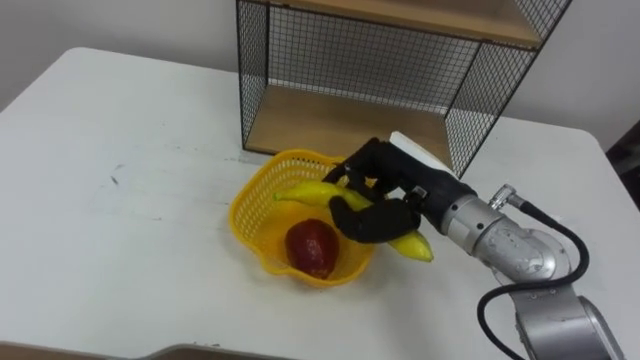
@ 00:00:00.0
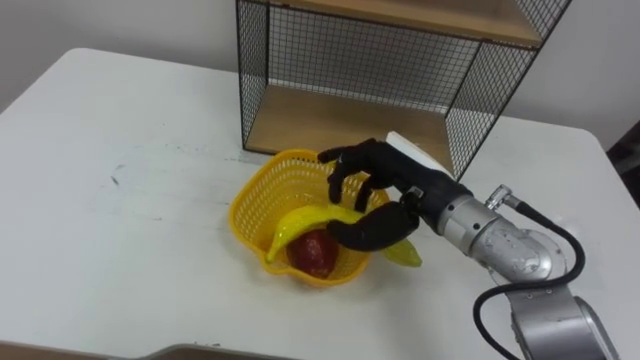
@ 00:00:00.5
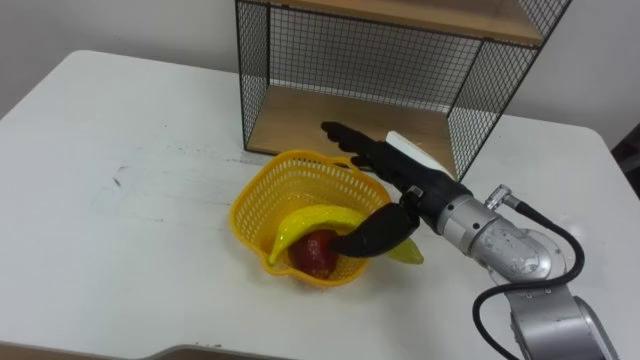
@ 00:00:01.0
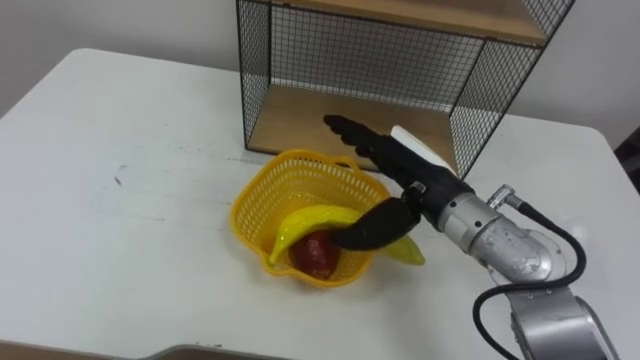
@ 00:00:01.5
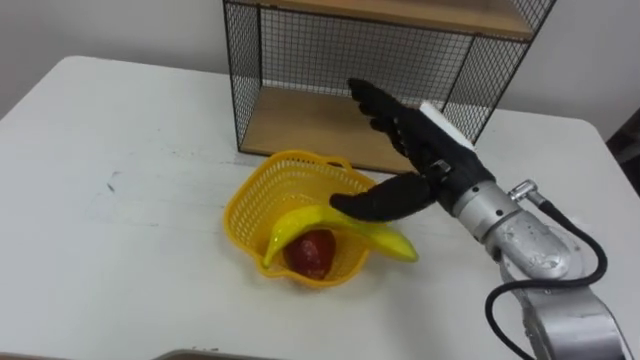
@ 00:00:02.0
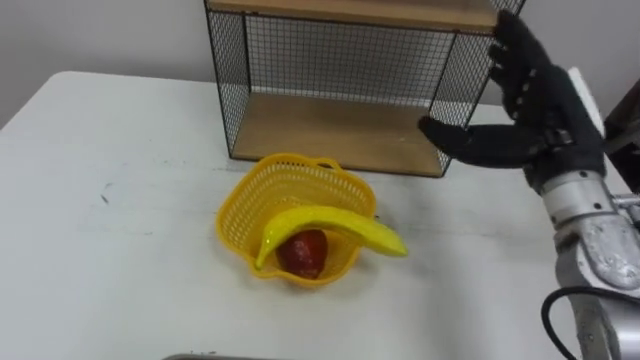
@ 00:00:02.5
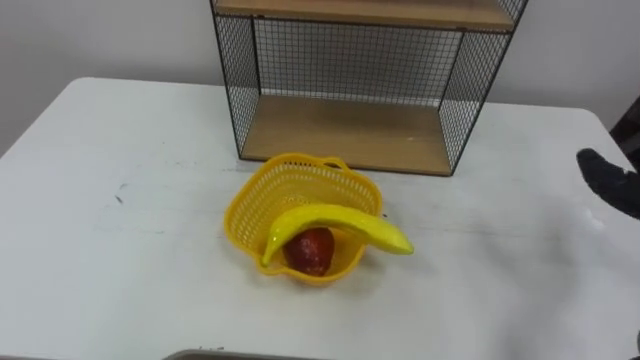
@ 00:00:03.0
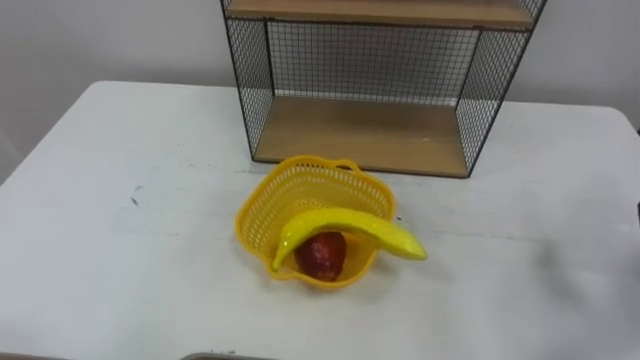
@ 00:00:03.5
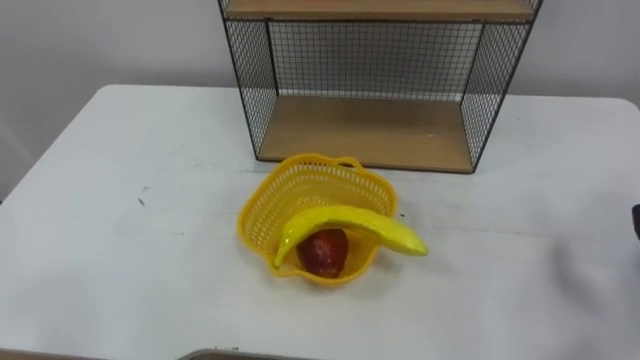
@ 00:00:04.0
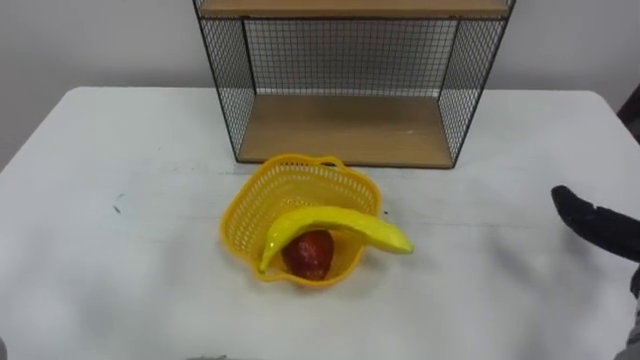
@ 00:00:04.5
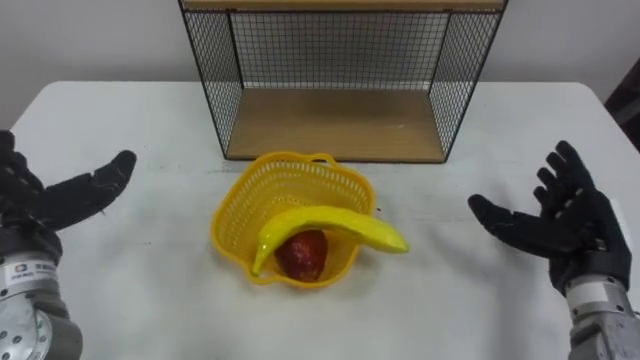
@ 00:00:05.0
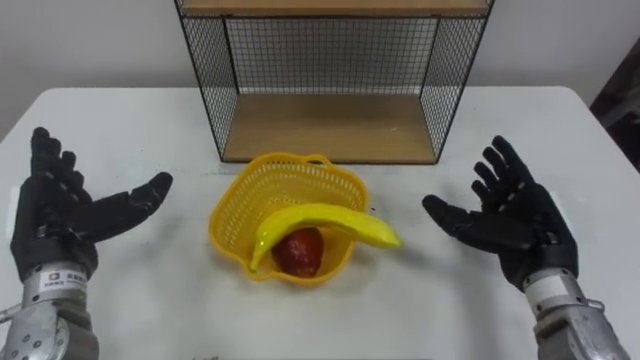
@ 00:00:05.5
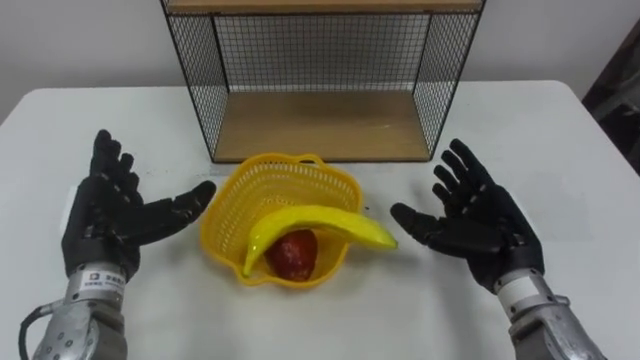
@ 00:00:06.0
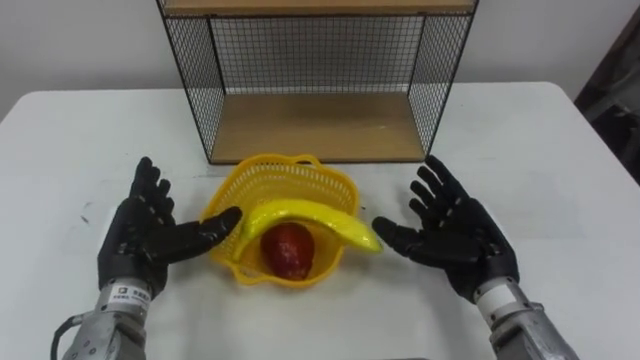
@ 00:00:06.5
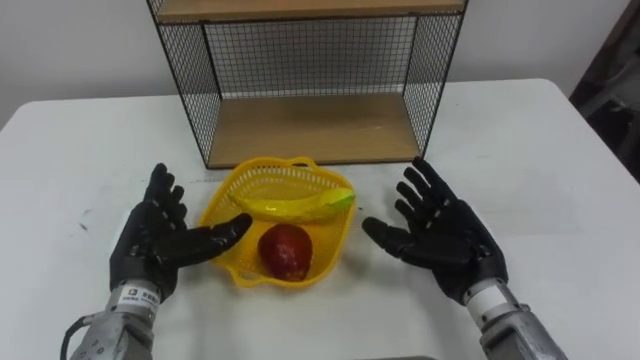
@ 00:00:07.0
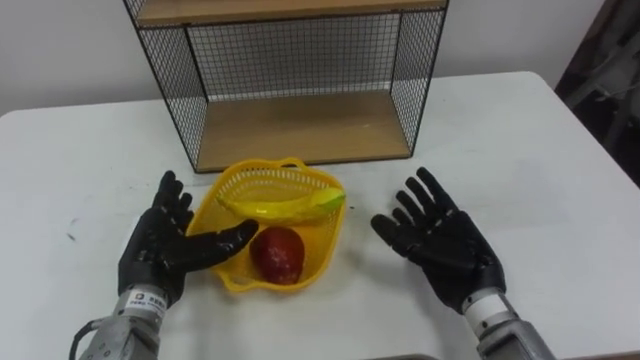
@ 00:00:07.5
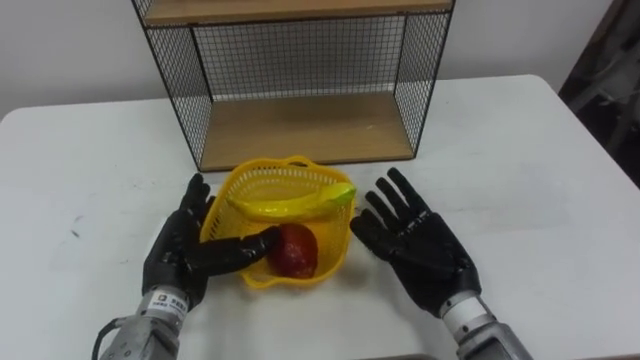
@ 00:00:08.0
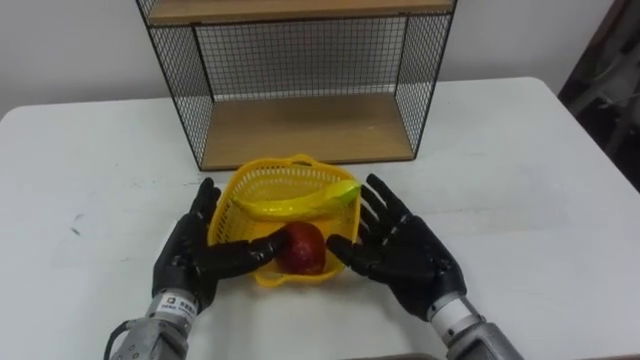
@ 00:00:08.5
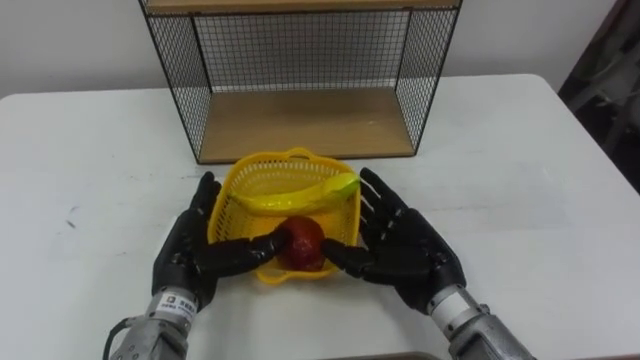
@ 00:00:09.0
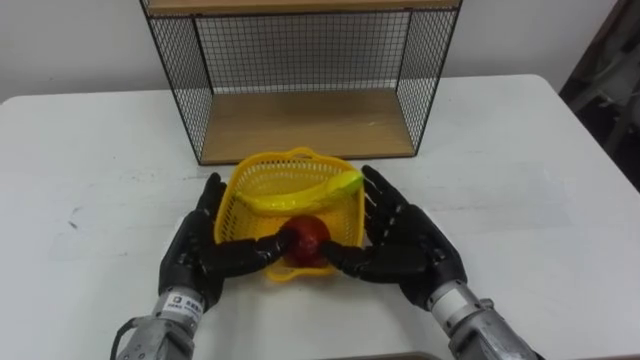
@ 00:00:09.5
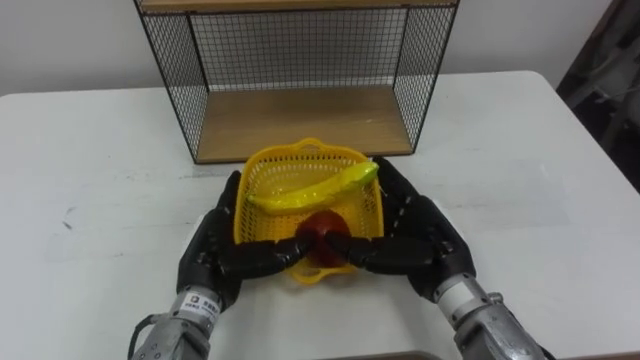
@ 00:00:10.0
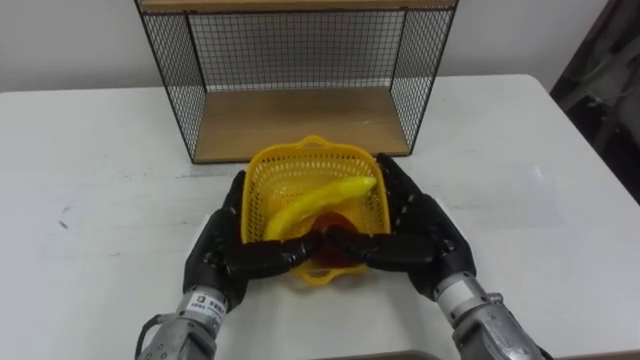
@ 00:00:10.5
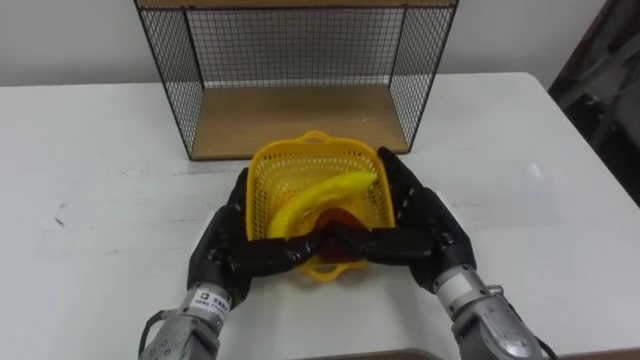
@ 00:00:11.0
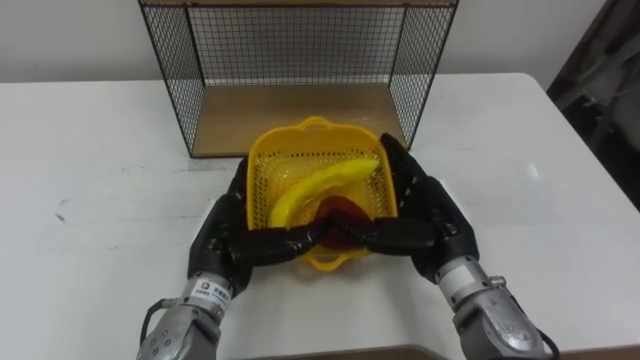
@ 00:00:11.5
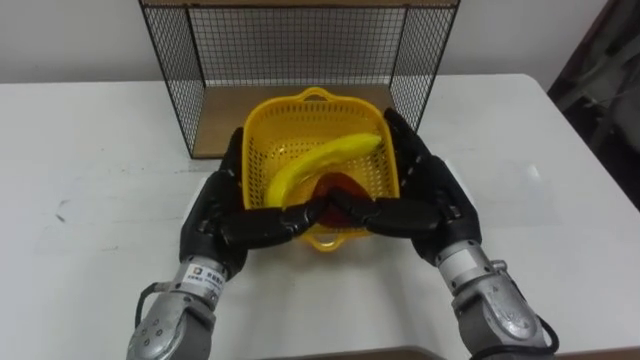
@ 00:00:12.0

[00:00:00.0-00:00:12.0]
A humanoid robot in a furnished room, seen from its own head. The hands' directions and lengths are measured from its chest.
Task of the whole recording: Put the fruit on the table into the basket, then place the basket on the shelf.
00:00:00.0 to 00:00:02.0: The right hand opens up.
00:00:06.0 to 00:00:08.0: The left hand is displaced to the right and downward by about 10 cm. Meanwhile the right hand goes about 5 cm to the left.
00:00:10.0 to 00:00:12.0: The left hand changes place by about 5 cm.

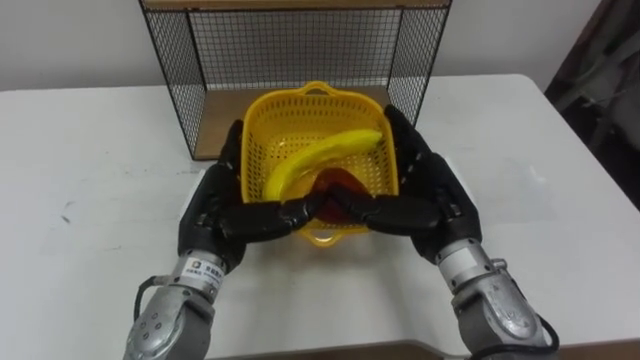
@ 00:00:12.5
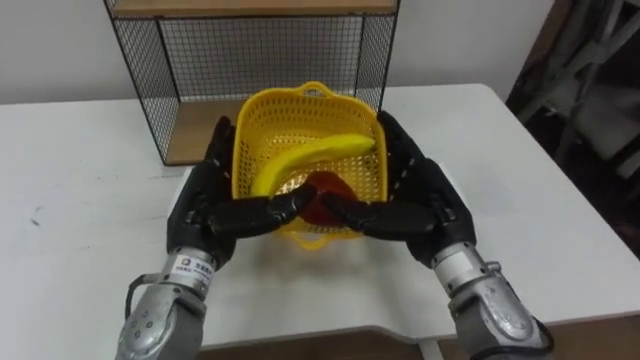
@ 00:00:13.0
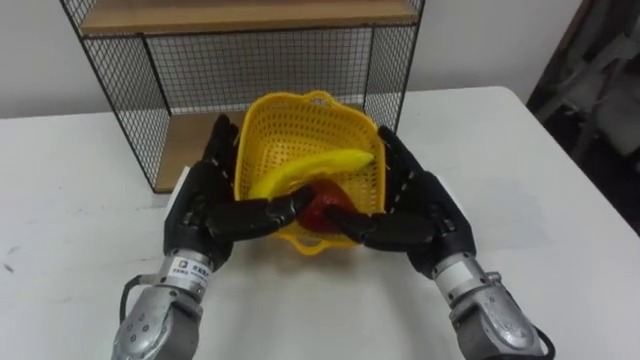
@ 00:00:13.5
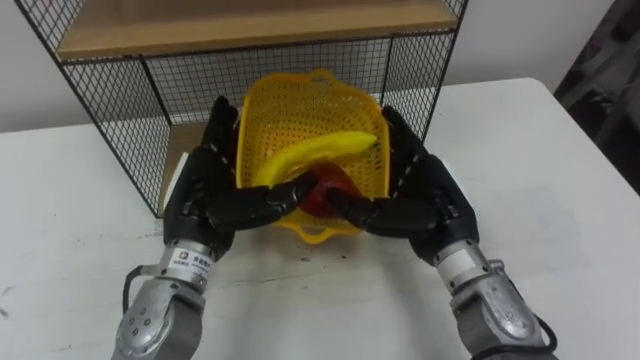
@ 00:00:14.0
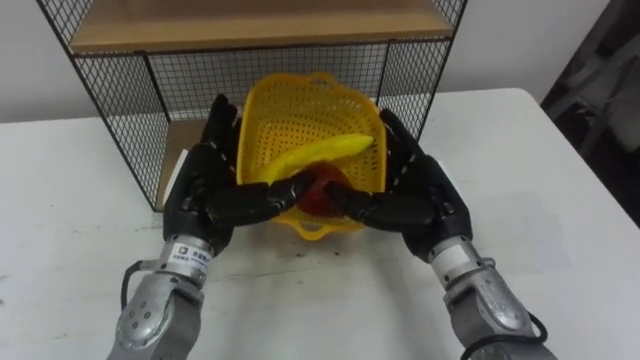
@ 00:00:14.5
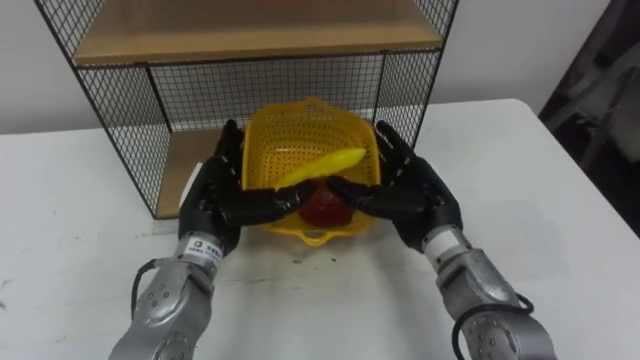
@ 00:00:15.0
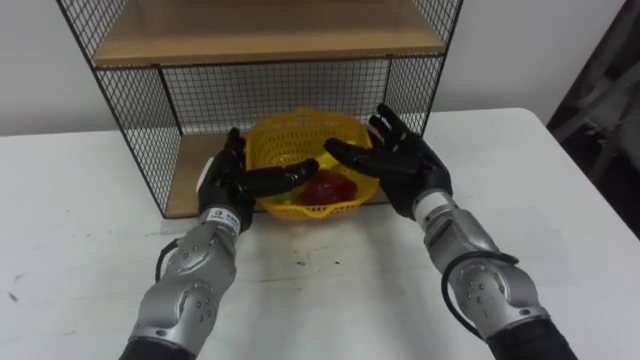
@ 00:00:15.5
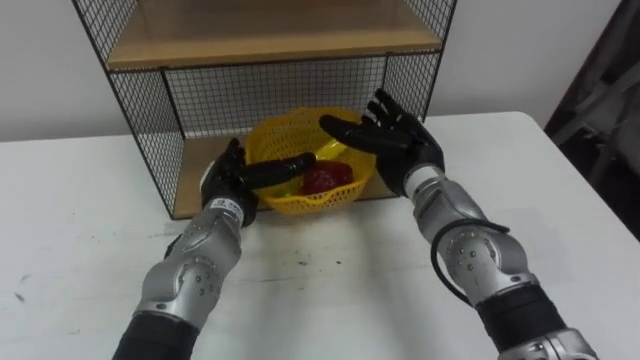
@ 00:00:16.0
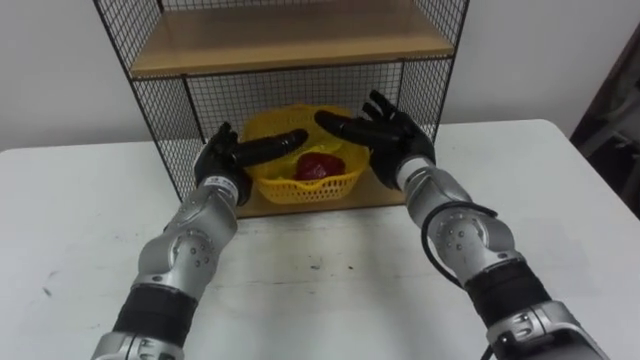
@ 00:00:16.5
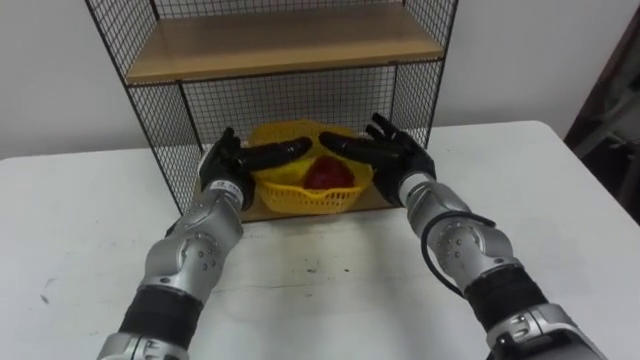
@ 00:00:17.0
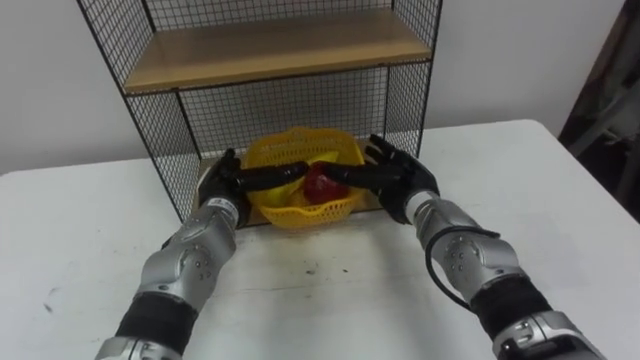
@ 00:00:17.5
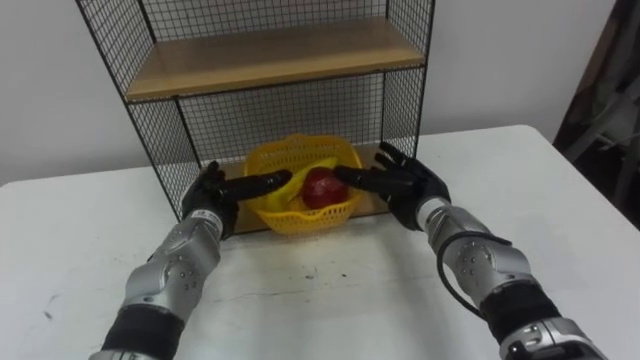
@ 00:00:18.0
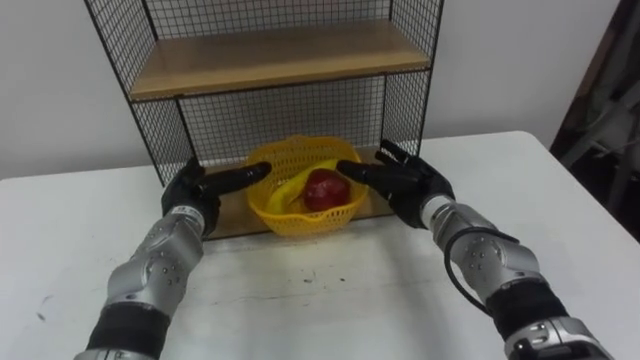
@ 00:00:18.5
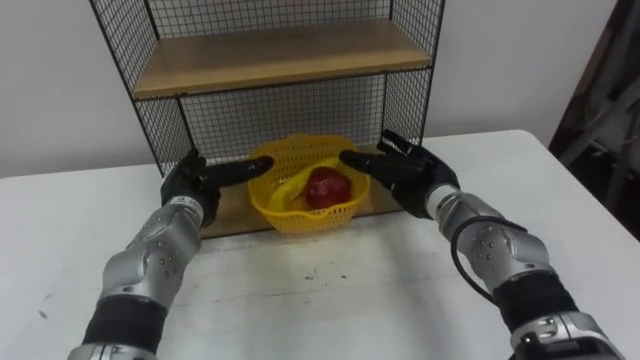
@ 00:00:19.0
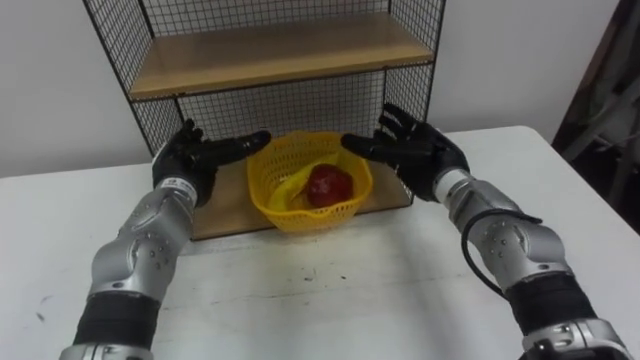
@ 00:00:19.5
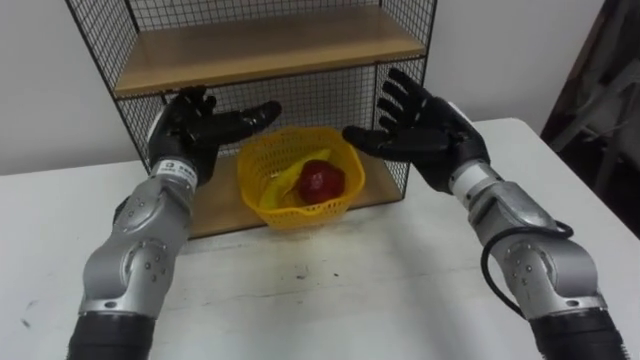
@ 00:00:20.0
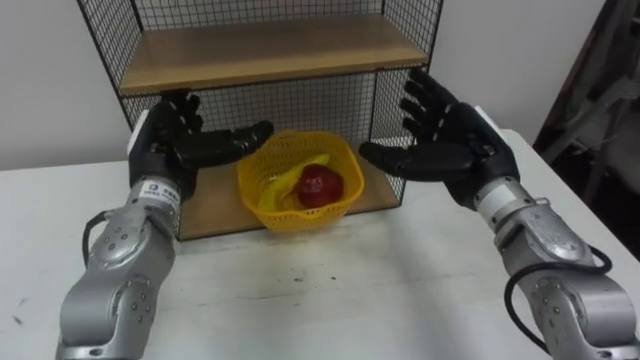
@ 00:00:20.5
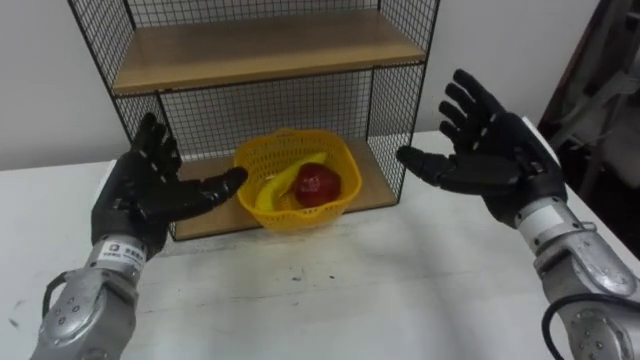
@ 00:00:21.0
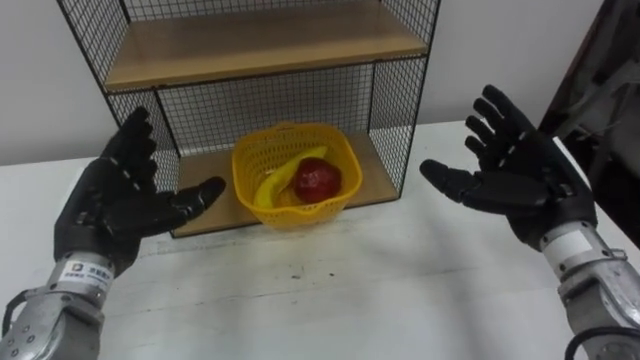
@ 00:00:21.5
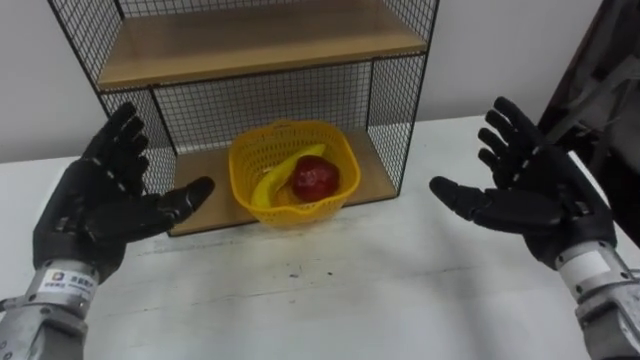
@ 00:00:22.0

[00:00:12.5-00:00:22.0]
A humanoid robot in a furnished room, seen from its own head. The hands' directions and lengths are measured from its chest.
Task of the whole recording: Put the fruit on the table into the basket, then place the basket on the shelf.
00:00:14.5 to 00:00:16.5: The left hand shifts approximately 10 cm forward and downward; the right hand is displaced forward by roughly 10 cm.
00:00:16.5 to 00:00:18.0: The two hands go approximately 5 cm downward.
00:00:18.0 to 00:00:20.0: Both hands move upward, some 10 cm.
00:00:20.0 to 00:00:22.0: The right hand moves to the right and backward, some 15 cm. Meanwhile the left hand is displaced backward and to the left by some 15 cm.
